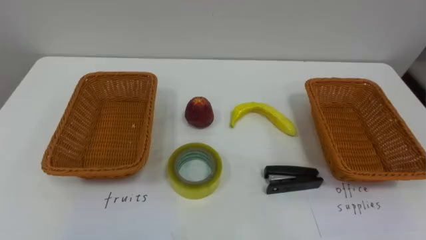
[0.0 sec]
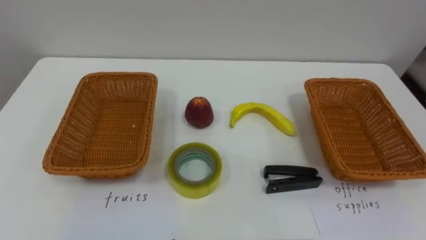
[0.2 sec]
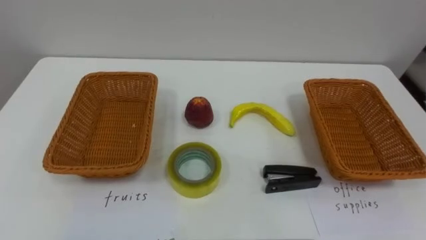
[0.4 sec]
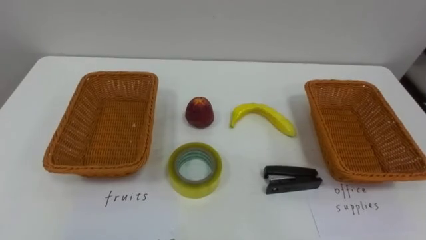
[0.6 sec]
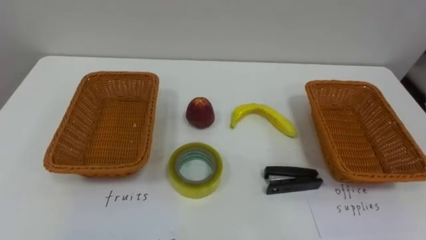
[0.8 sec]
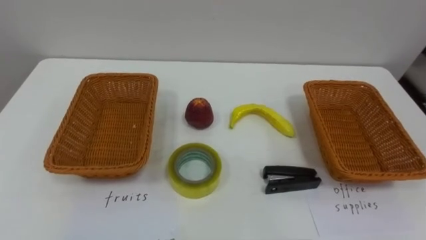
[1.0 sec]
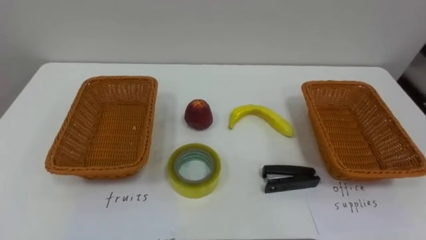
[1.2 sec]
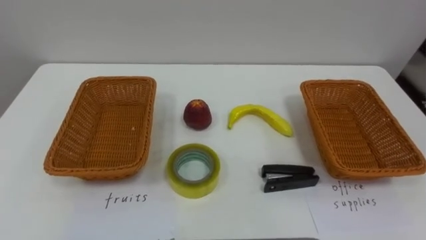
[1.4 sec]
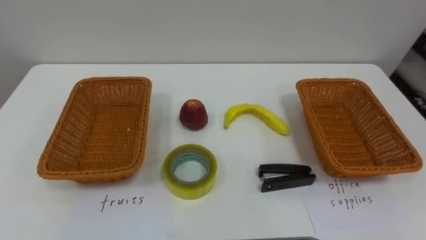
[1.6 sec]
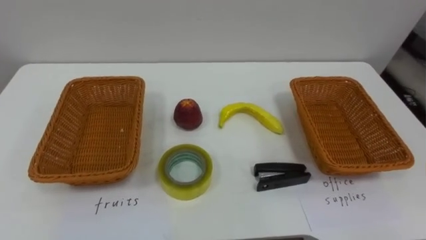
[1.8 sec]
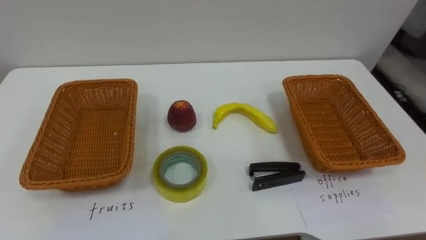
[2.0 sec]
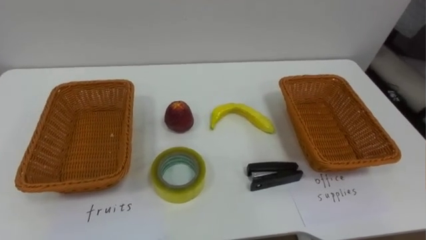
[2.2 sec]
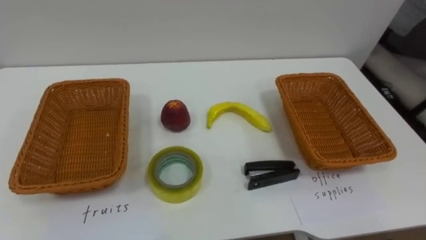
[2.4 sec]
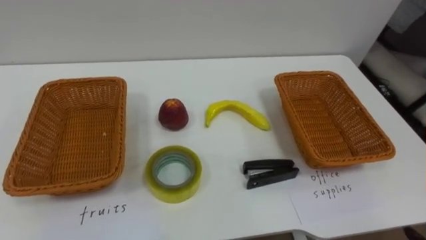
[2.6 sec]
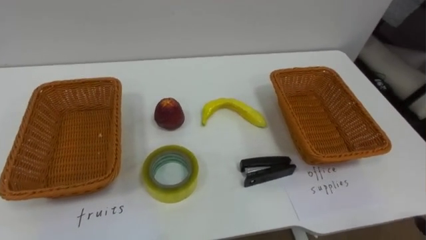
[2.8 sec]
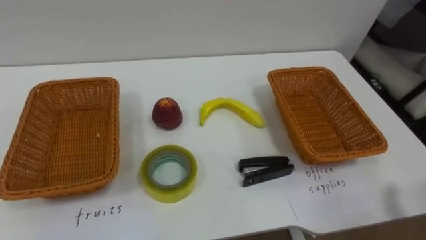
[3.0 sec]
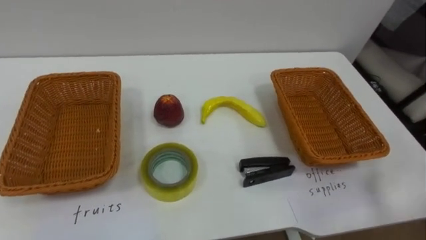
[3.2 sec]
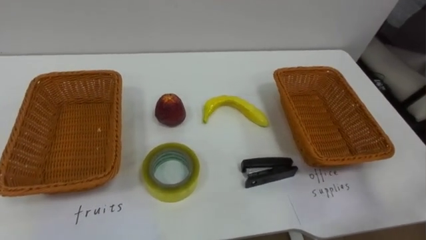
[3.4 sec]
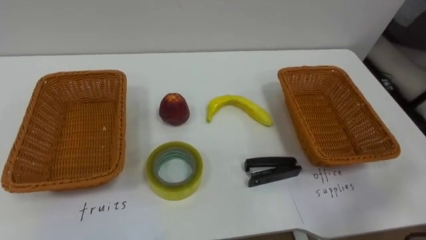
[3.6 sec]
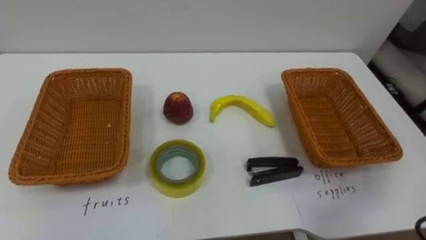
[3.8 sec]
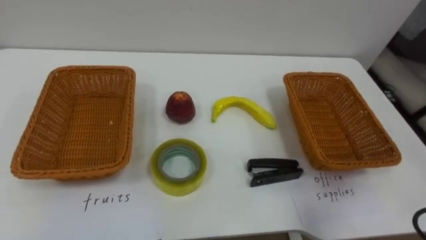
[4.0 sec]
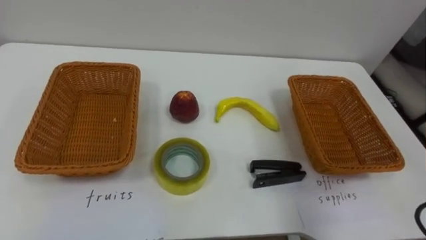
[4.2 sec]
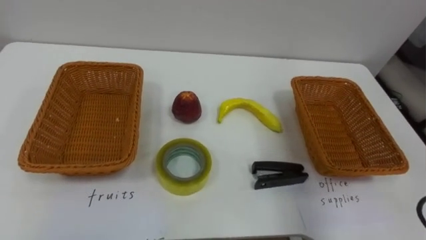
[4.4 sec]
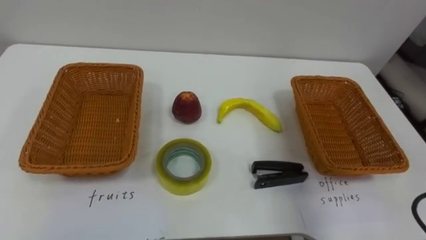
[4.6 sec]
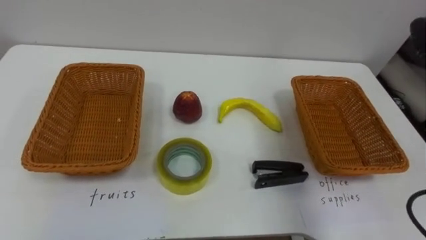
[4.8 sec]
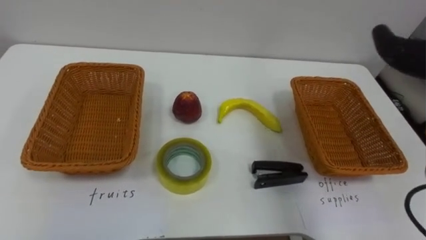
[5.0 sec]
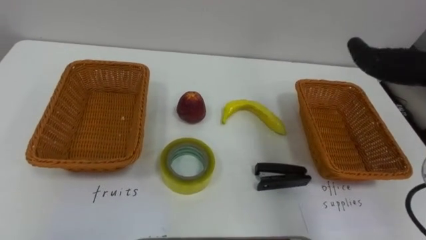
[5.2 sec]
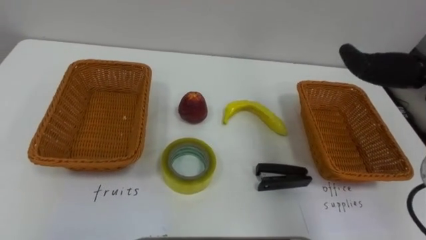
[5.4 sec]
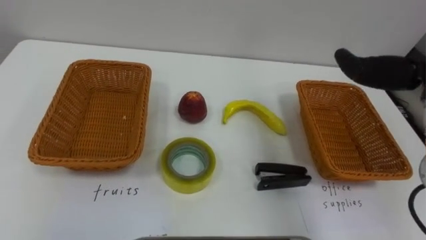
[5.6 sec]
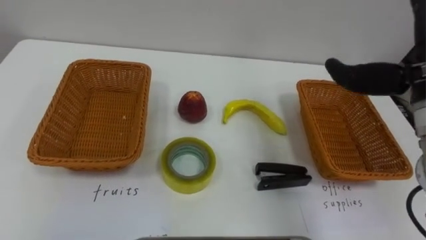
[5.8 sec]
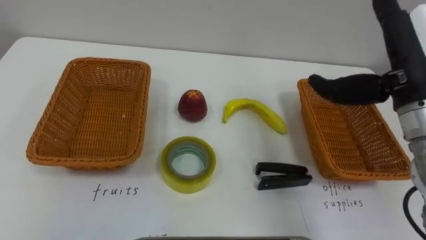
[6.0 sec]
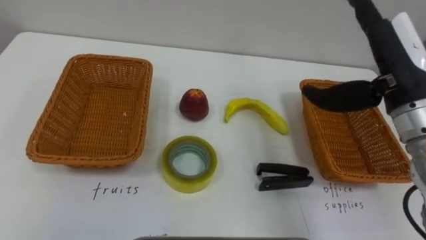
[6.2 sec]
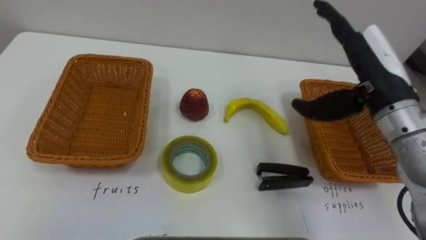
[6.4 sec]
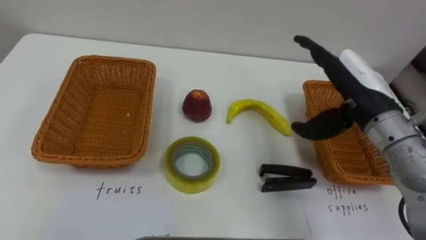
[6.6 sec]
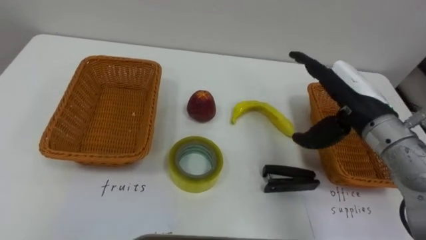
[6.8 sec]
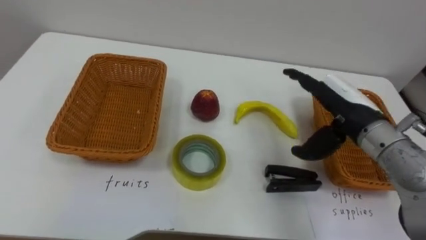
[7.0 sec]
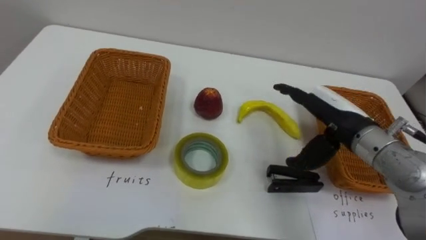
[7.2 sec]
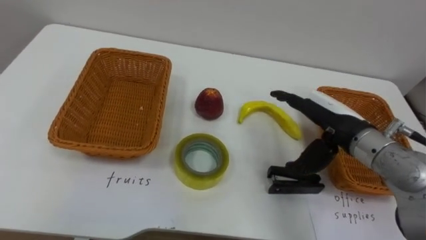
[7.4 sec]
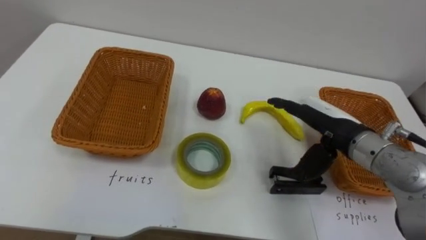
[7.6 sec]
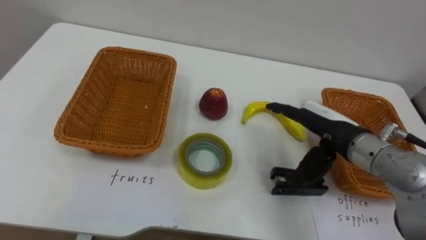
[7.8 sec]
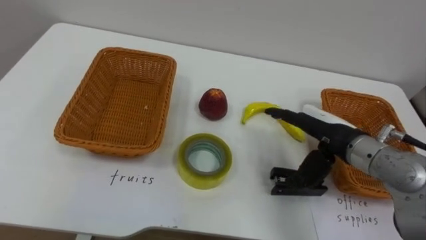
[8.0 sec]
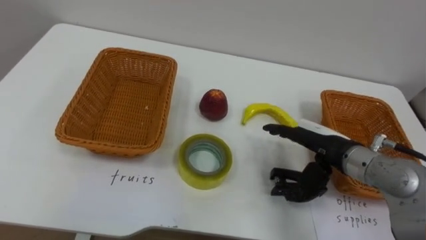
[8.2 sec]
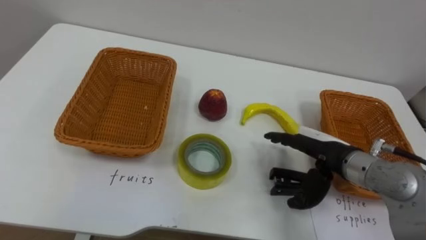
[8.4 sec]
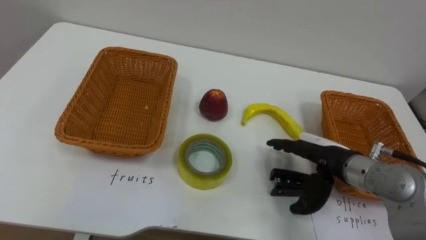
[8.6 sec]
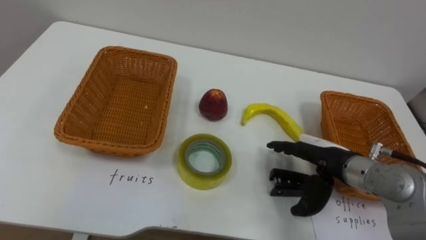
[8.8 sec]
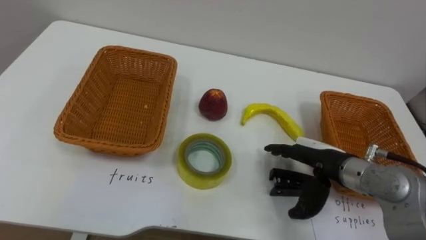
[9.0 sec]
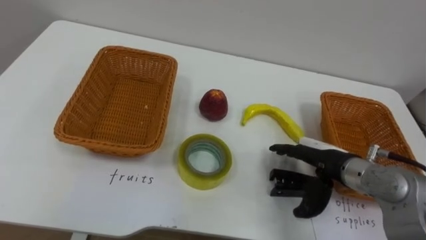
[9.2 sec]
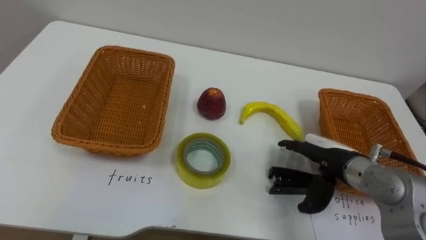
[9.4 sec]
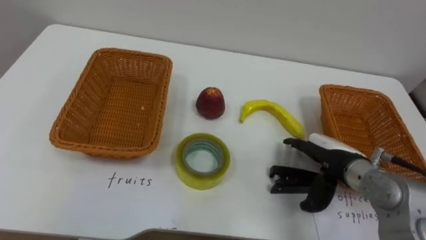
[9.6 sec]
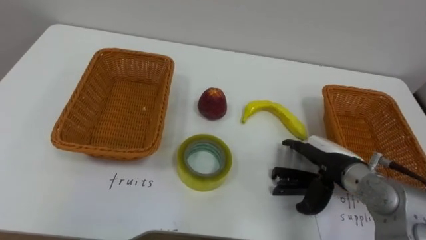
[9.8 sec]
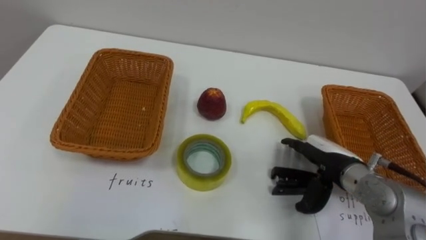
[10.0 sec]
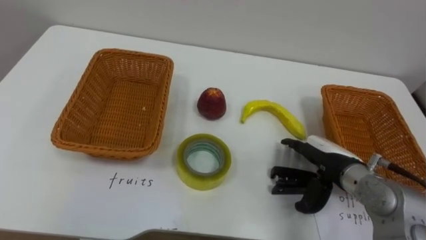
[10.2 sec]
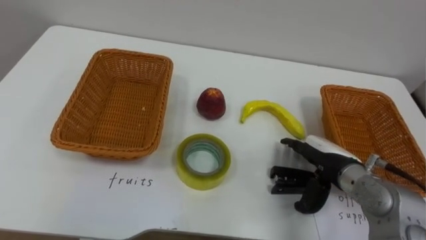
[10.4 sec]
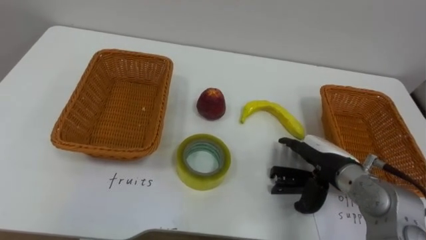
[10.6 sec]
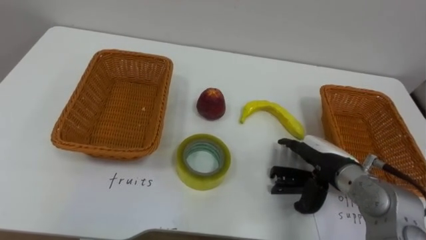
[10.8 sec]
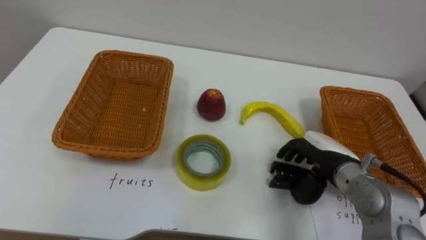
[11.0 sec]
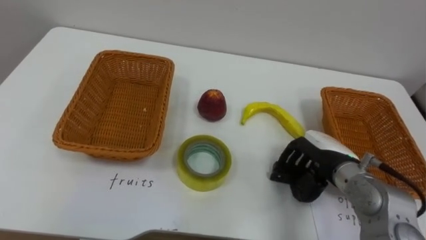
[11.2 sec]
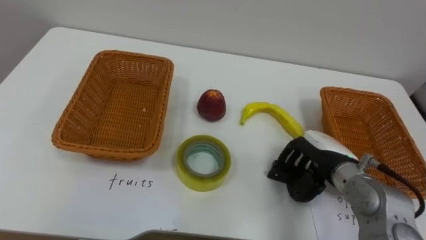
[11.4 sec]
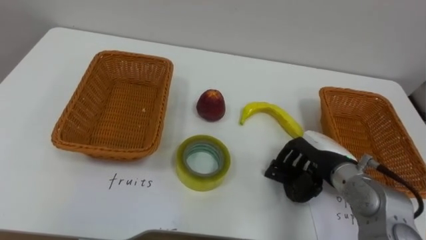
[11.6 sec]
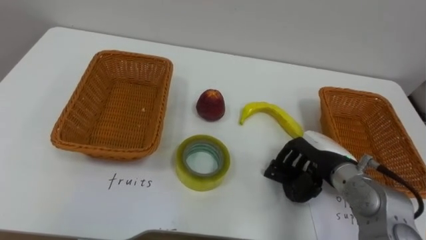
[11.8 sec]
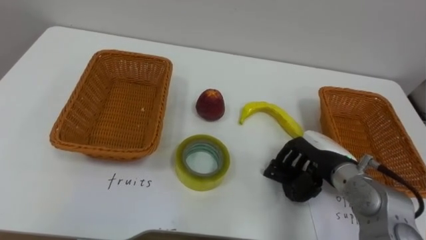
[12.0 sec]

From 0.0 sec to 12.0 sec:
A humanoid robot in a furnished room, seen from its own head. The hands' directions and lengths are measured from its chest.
Task of the whole recording: Separate the items on the table and place them into the two baskets.
From 6.0 sec to 7.6 sec: The right hand goes roughly 15 cm downward.
From 7.6 sec to 9.0 sec: The right hand travels downward by some 5 cm.
From 10.4 sec to 12.0 sec: The right hand closes.

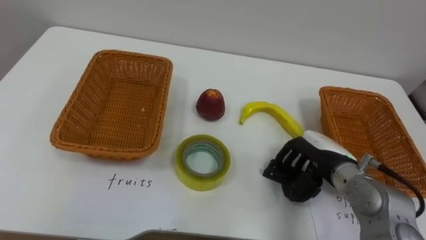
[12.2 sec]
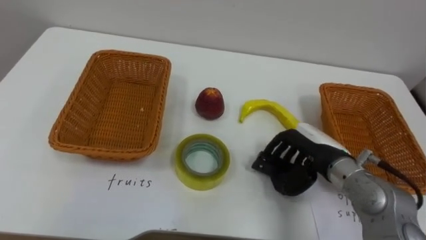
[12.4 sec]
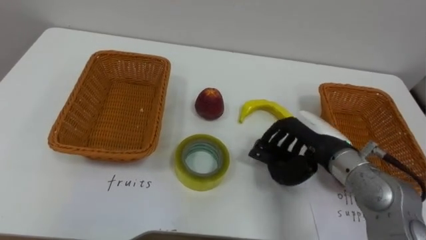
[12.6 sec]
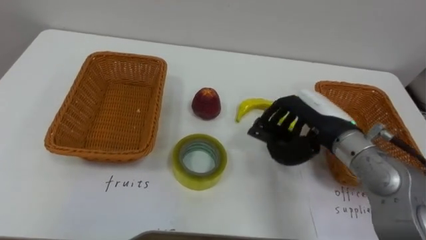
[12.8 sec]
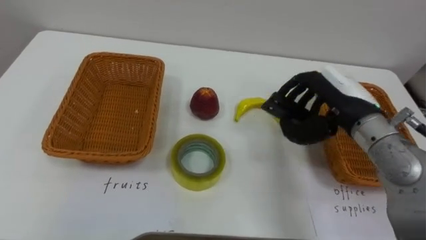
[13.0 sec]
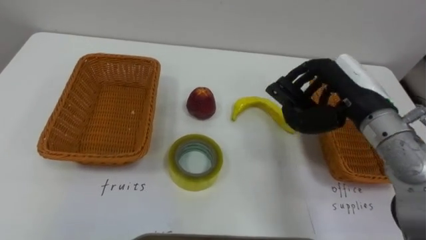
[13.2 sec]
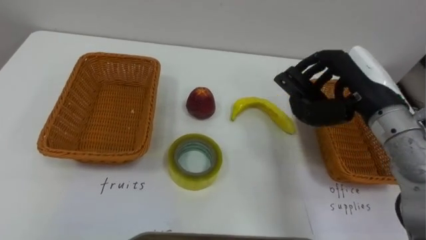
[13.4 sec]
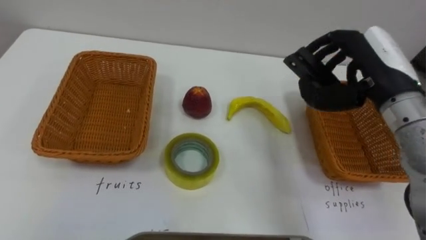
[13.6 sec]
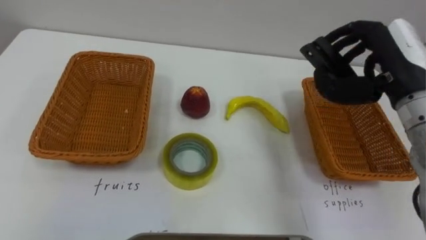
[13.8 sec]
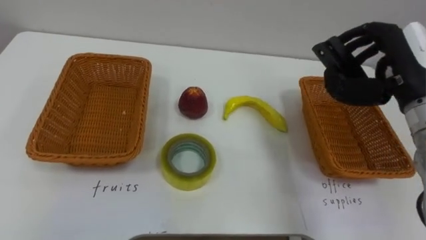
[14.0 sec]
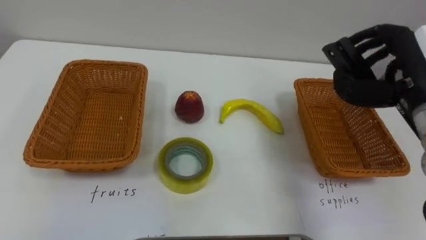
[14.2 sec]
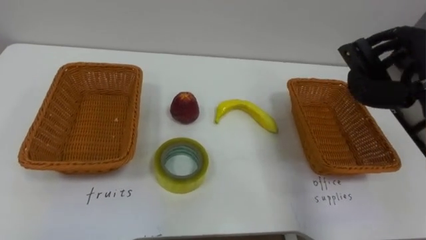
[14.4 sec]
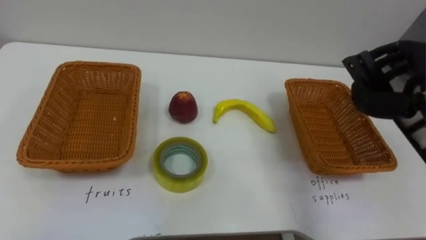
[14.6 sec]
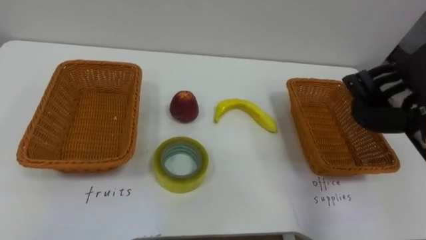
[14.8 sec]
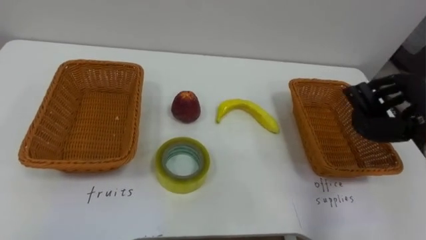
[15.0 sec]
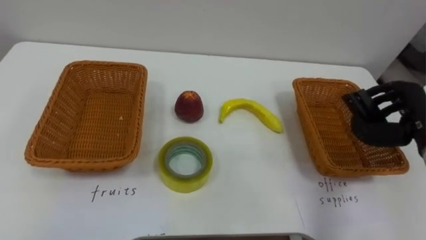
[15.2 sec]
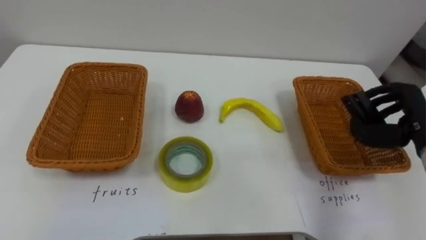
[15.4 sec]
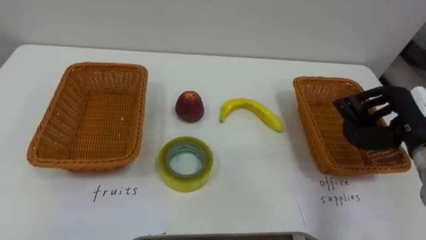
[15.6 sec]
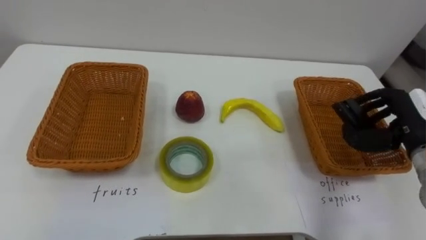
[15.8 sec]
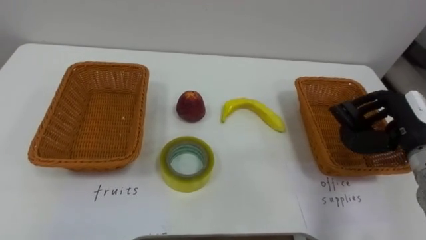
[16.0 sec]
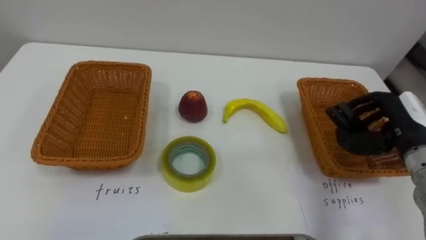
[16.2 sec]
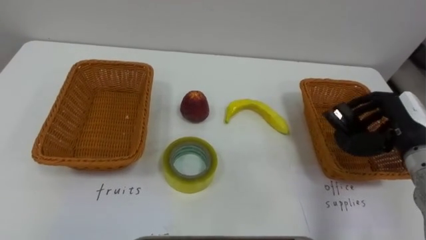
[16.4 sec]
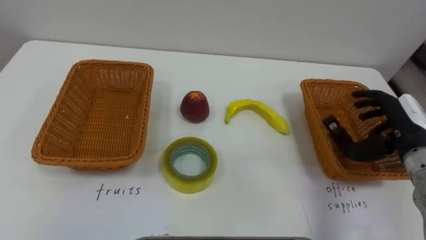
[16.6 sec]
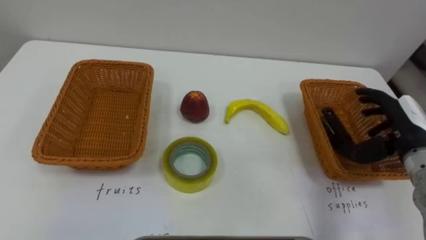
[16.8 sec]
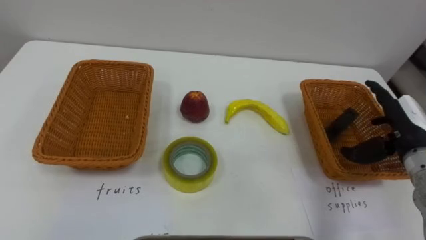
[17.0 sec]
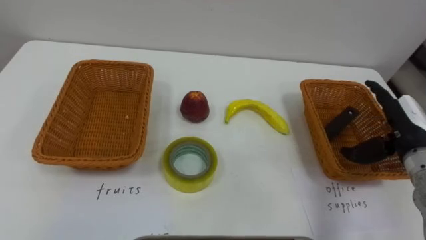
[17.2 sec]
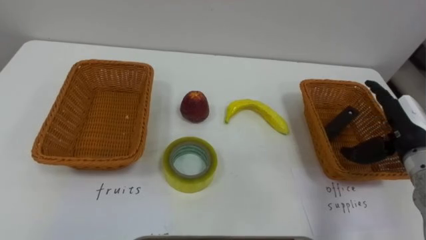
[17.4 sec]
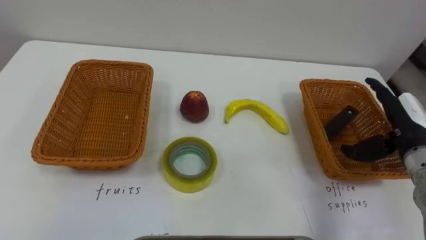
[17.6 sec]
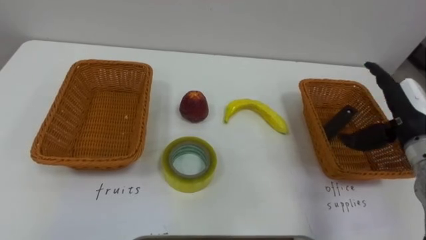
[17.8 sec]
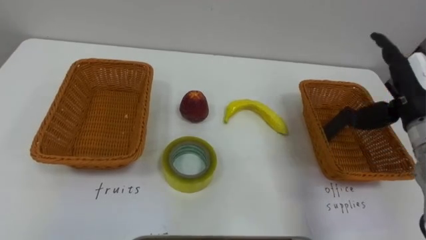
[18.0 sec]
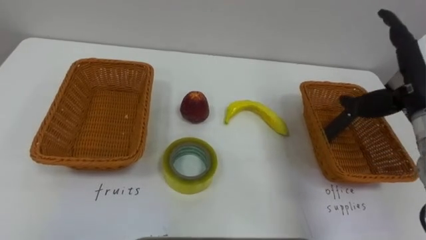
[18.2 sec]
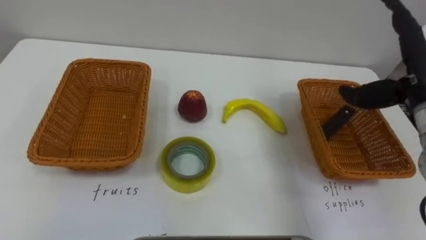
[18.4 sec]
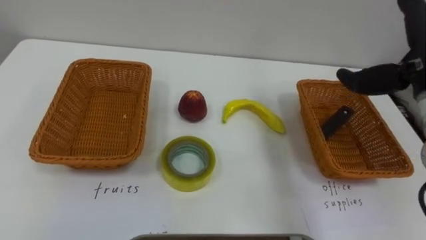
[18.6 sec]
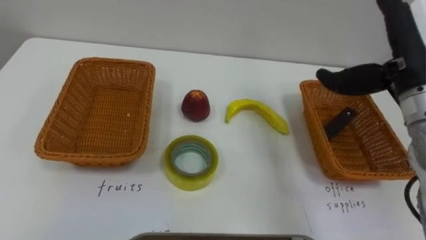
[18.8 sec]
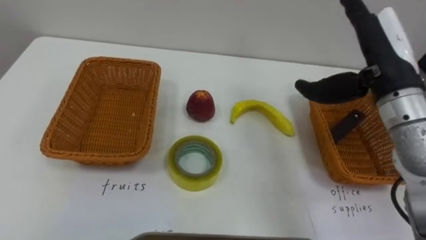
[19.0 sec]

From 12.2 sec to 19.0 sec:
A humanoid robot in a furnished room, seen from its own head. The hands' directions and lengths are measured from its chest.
Task of the whole recording: Separate the items on the table and place them into the two baskets.
From 12.2 sec to 13.6 sec: The right hand shifts roughly 15 cm upward.
From 16.2 sec to 17.6 sec: The right hand opens its fingers.
From 17.6 sec to 19.0 sec: The right hand shifts roughly 15 cm upward and to the left.
